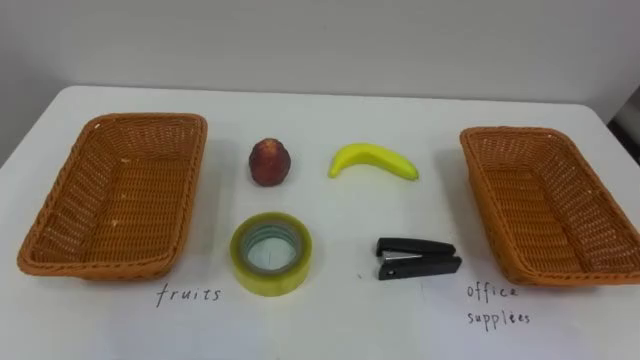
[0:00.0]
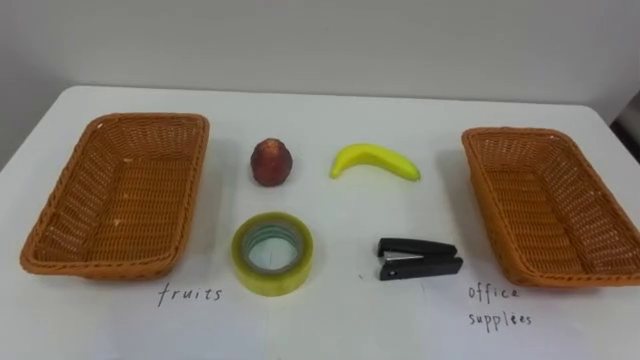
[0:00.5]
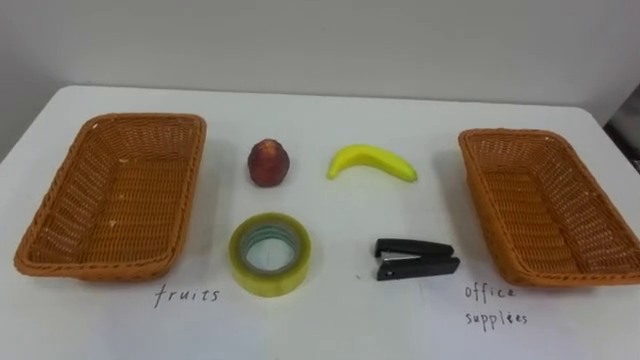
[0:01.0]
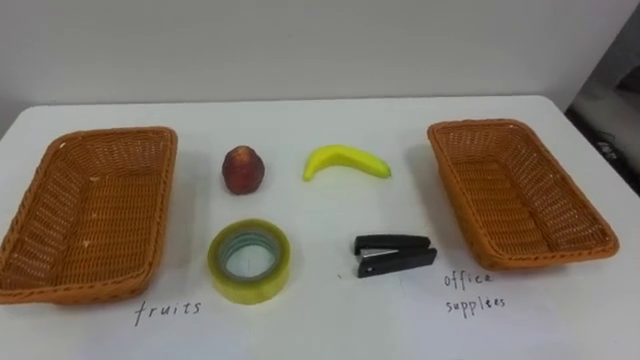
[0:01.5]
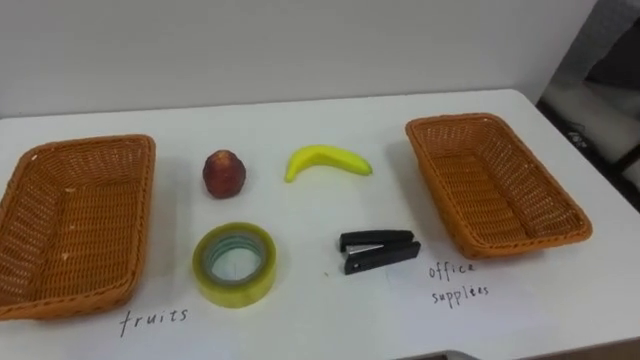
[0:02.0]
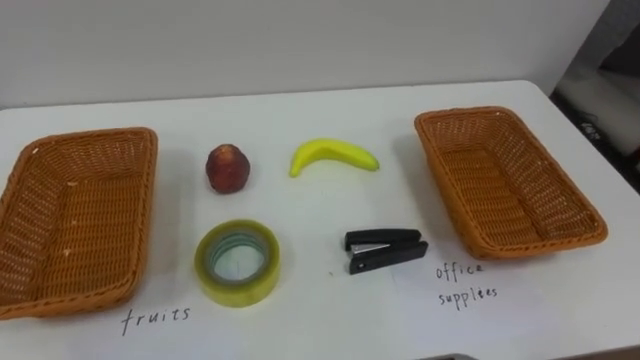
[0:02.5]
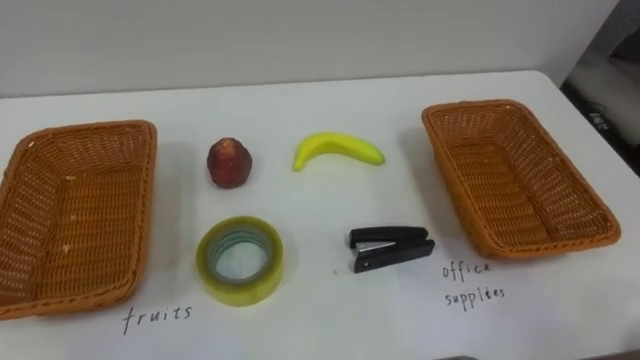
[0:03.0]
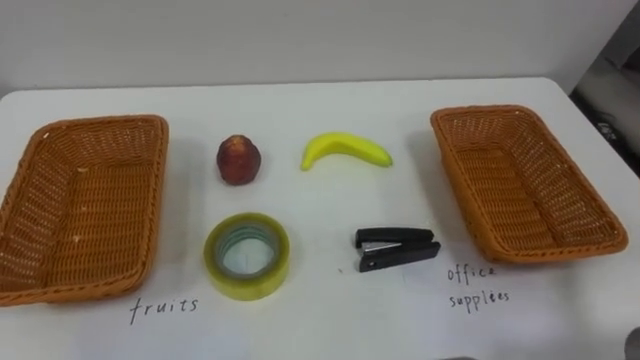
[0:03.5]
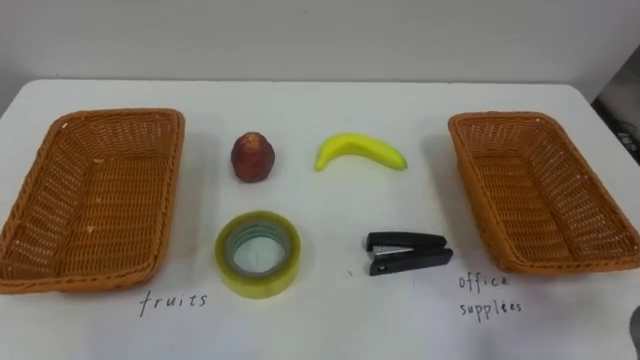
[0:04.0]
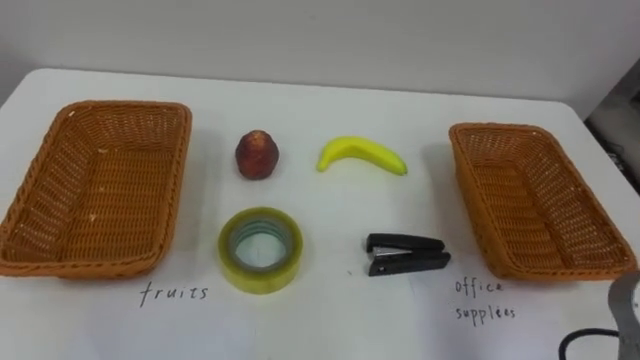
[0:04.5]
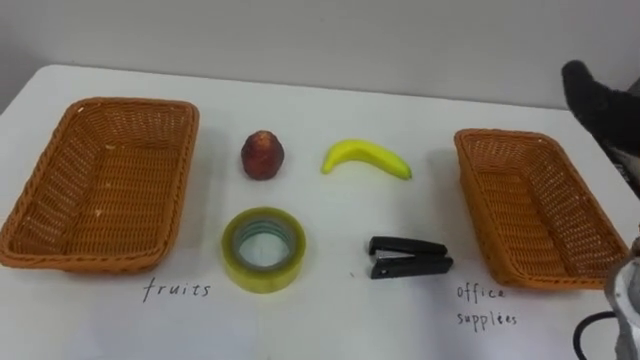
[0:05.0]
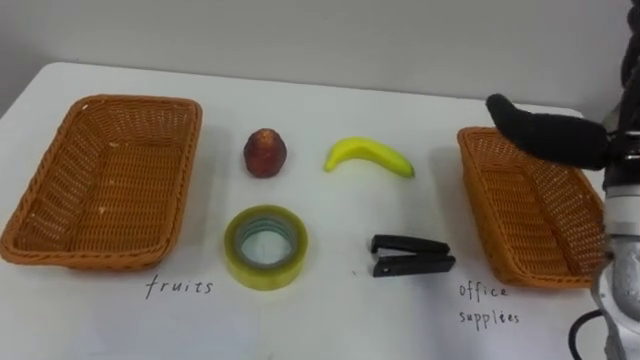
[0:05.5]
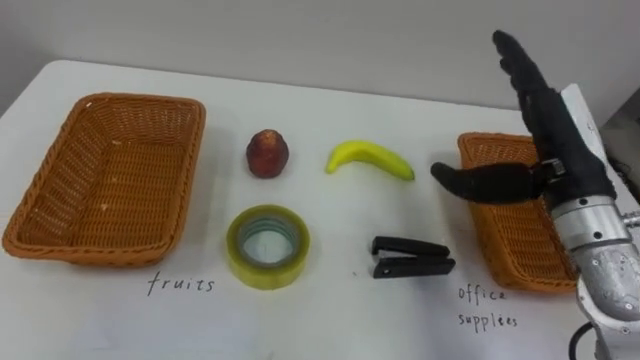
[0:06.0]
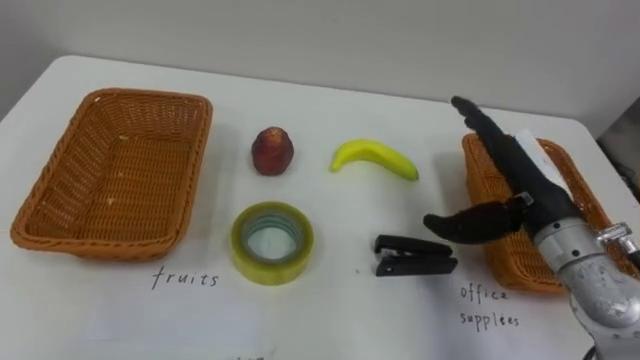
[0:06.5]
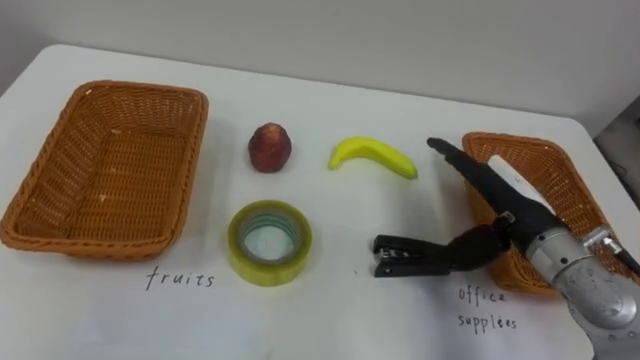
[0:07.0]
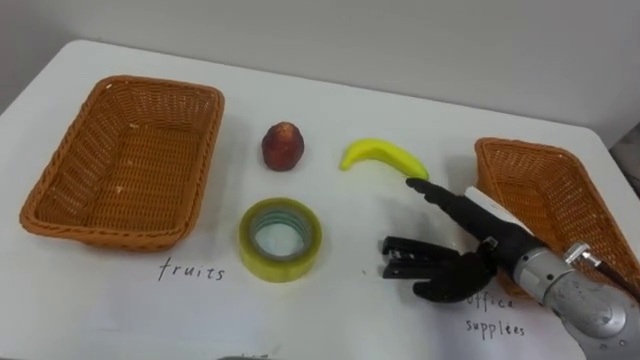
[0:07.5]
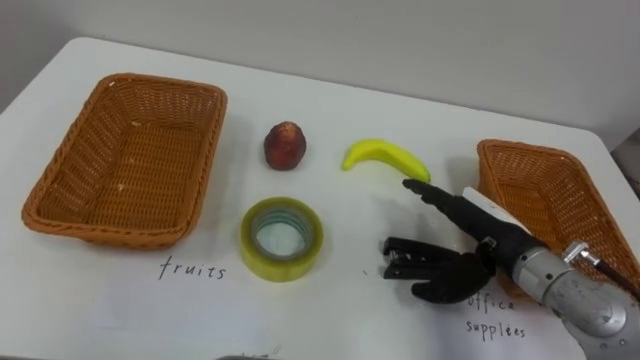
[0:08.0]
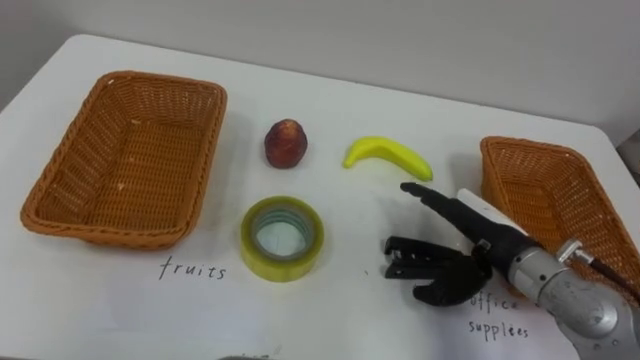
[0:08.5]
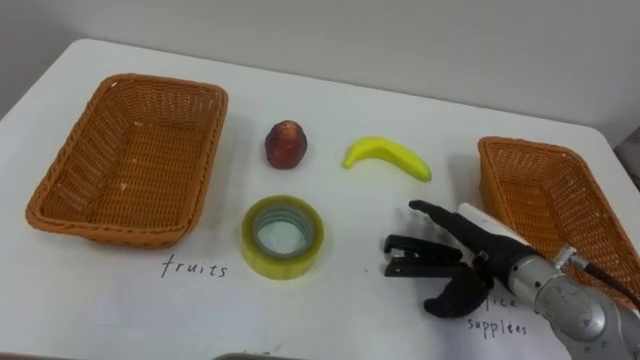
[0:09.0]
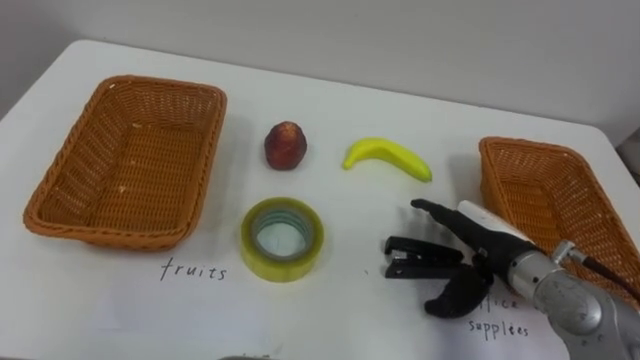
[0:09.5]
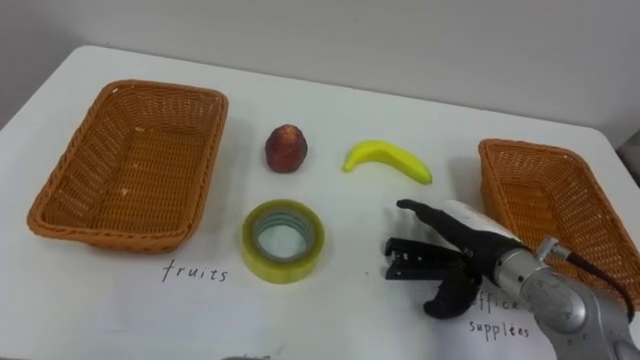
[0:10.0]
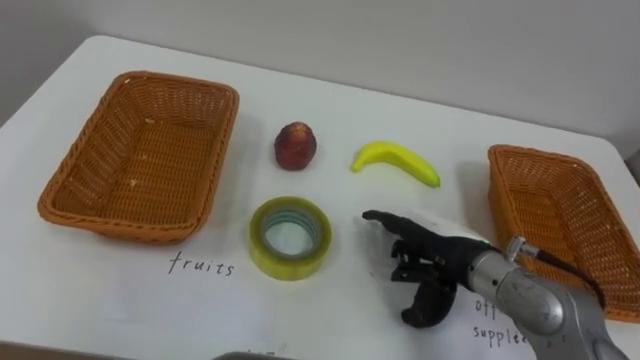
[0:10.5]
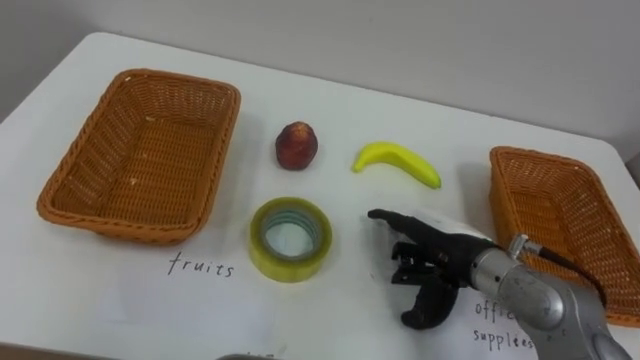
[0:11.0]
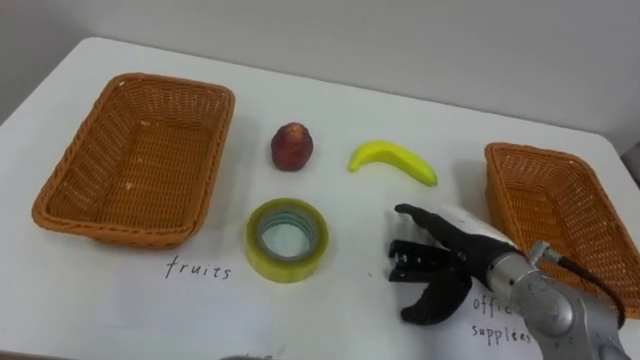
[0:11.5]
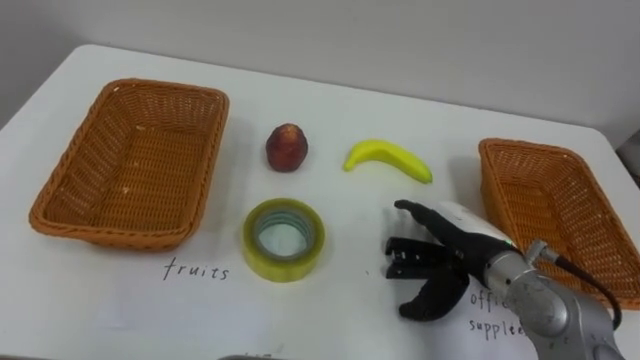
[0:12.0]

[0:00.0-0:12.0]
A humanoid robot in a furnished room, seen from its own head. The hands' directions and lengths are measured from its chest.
Task of the whole recording: Separate the items on the table and place them into the two baskets.
0:06.0 to 0:08.0: The right hand shifts roughly 10 cm downward.

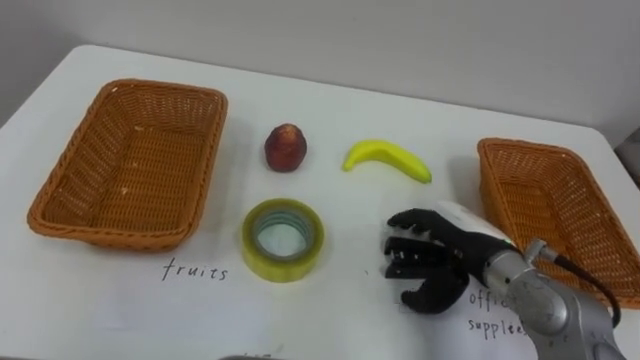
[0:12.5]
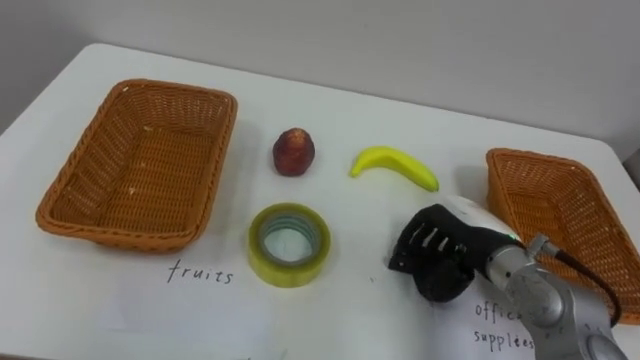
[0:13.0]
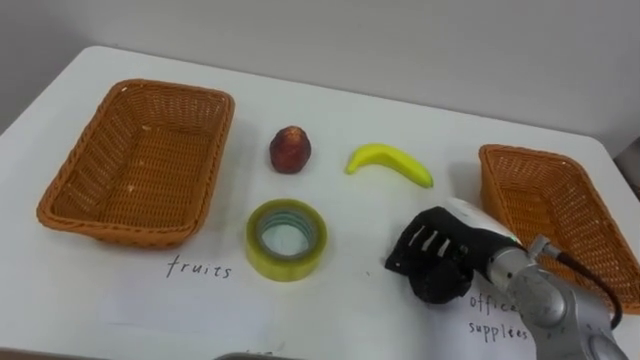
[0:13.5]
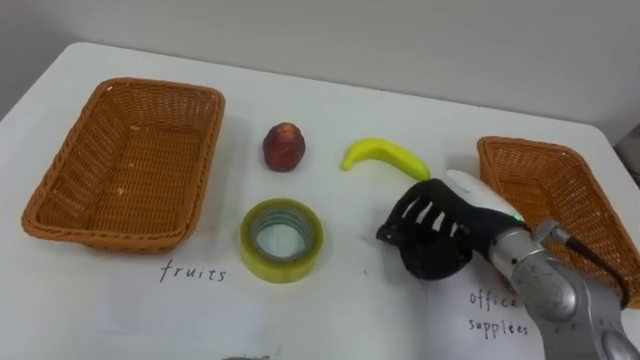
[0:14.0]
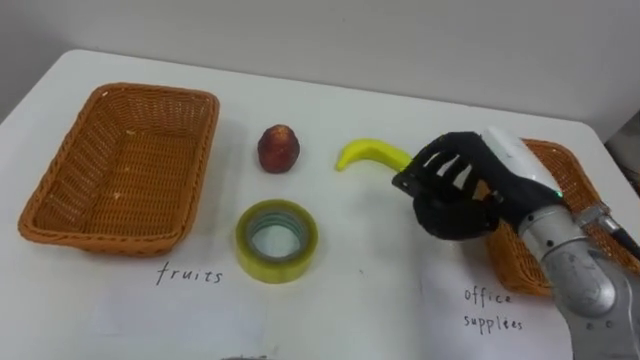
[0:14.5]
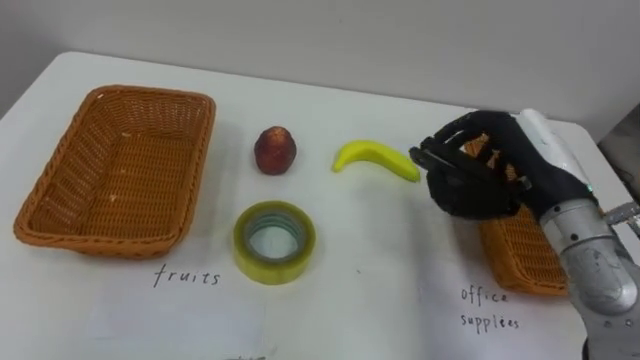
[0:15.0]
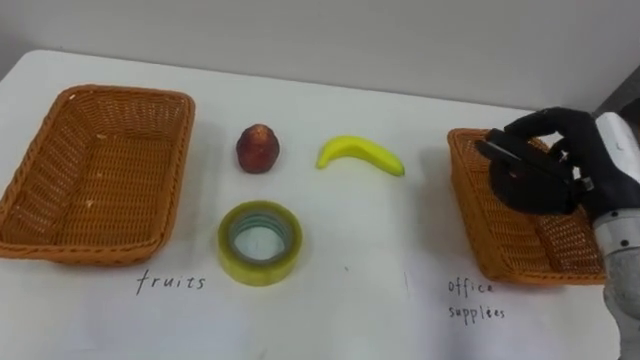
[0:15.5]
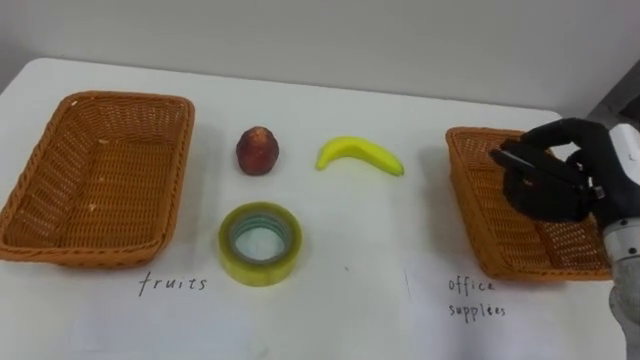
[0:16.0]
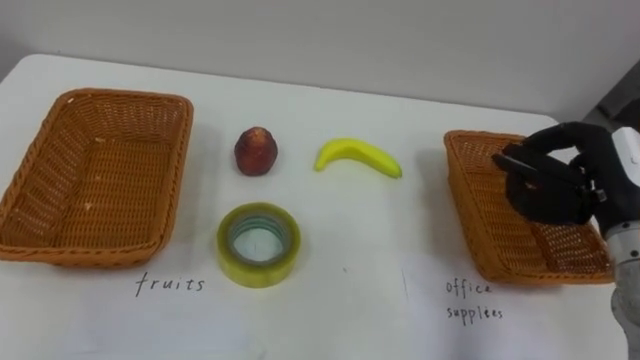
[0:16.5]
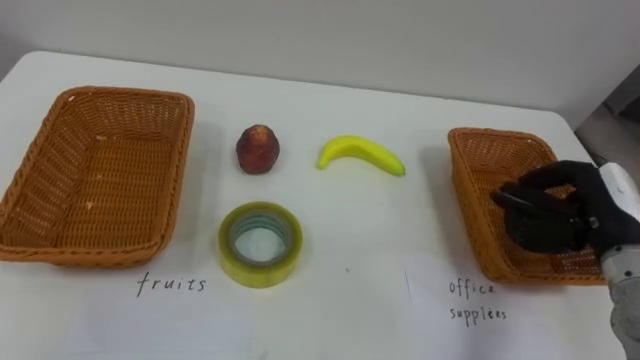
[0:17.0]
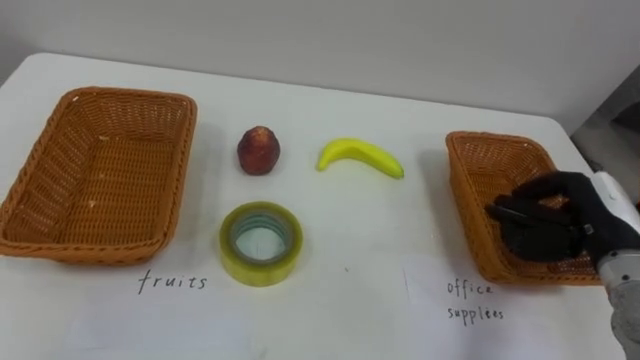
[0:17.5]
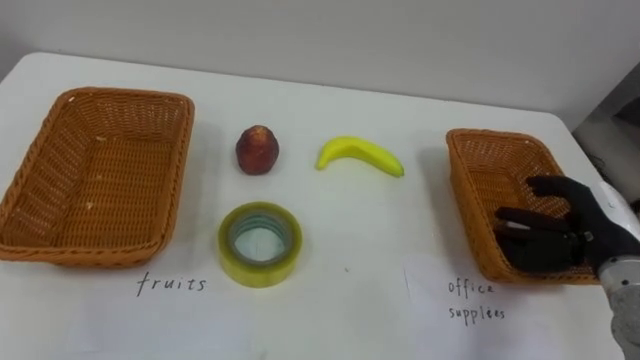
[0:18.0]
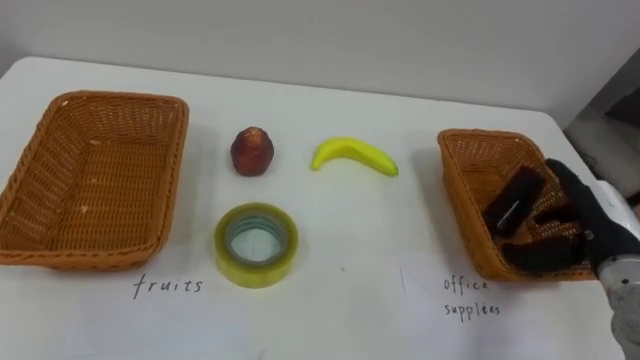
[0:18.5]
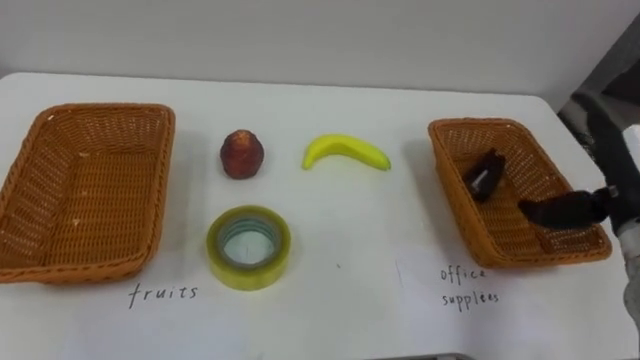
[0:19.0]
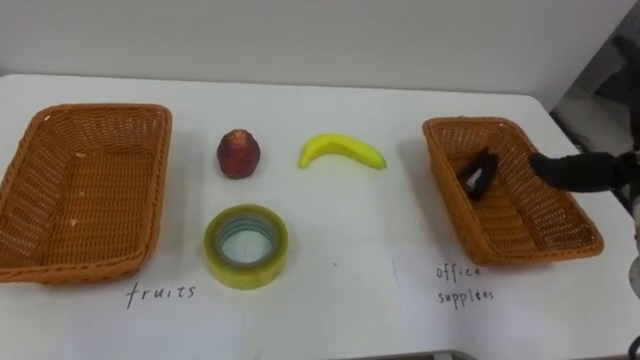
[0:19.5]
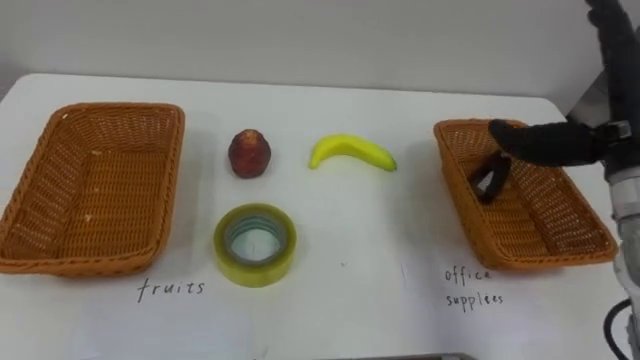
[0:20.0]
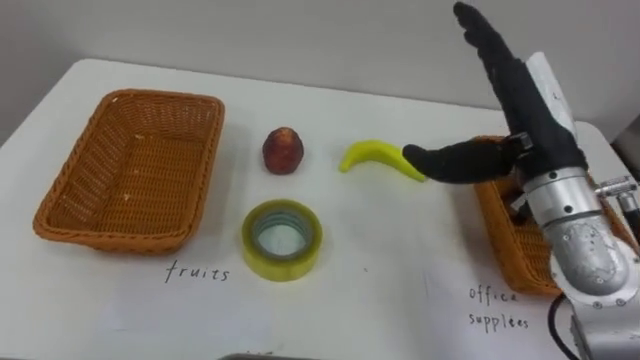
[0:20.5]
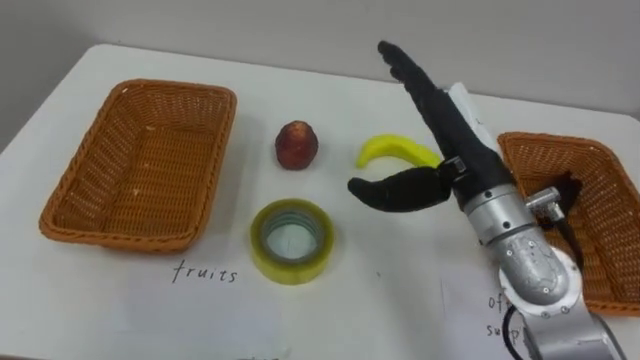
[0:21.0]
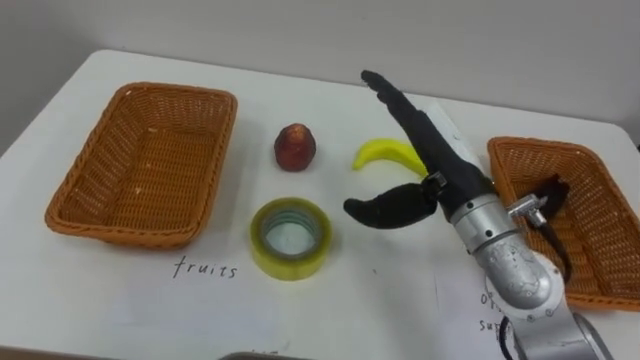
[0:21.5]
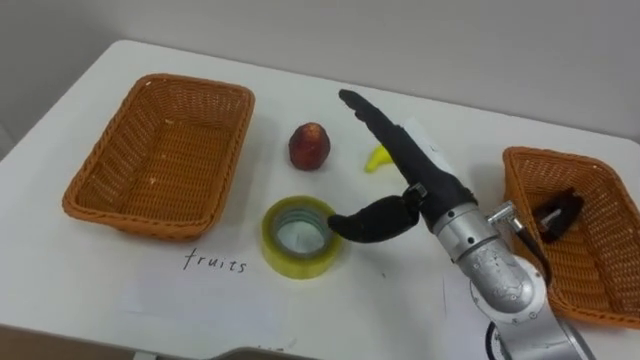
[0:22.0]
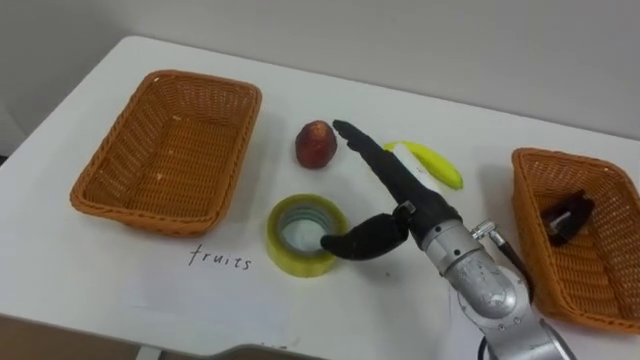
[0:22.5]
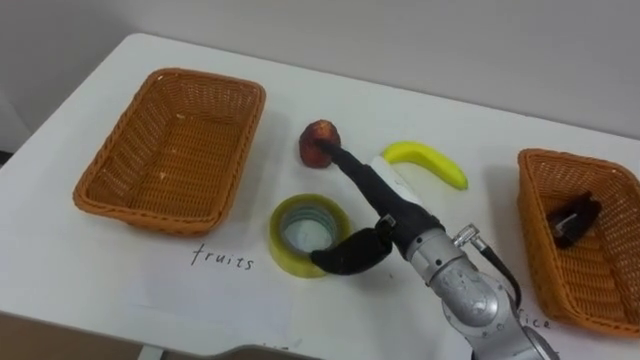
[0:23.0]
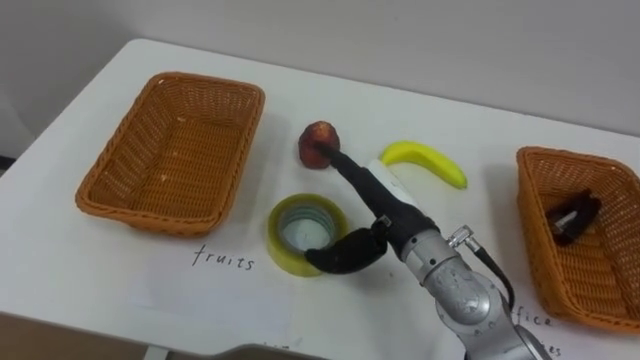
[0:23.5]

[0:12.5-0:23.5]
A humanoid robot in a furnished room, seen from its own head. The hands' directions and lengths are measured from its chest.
Task of the whole recording: Separate the items on the table and place them into the two baskets.
0:12.5 to 0:14.5: The right hand heads upward, covering roughly 10 cm, and closes its fingers.
0:14.5 to 0:16.0: The right hand is displaced to the right by roughly 10 cm.
0:16.0 to 0:18.0: The right hand travels downward by roughly 5 cm.
0:20.0 to 0:21.5: The right hand travels to the left by about 15 cm.
0:21.5 to 0:23.5: The right hand goes some 10 cm downward and to the left.
